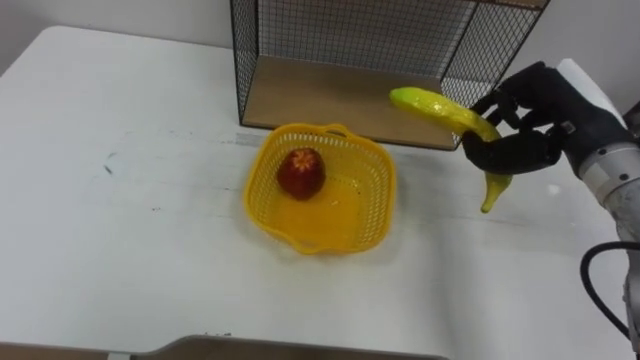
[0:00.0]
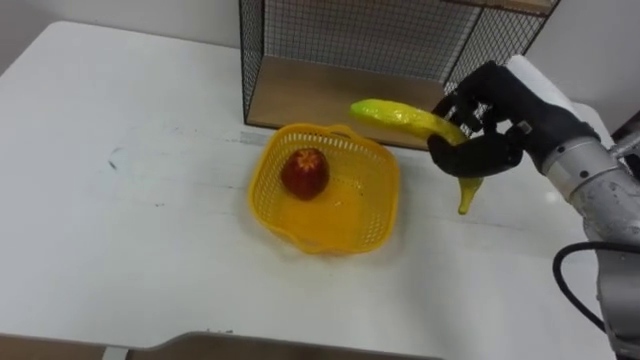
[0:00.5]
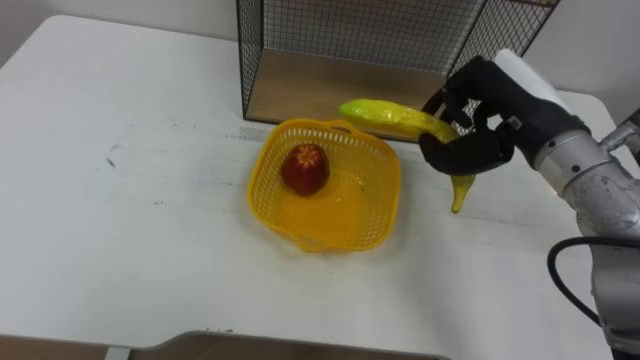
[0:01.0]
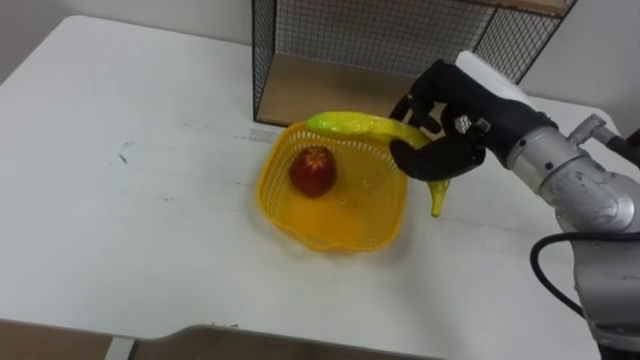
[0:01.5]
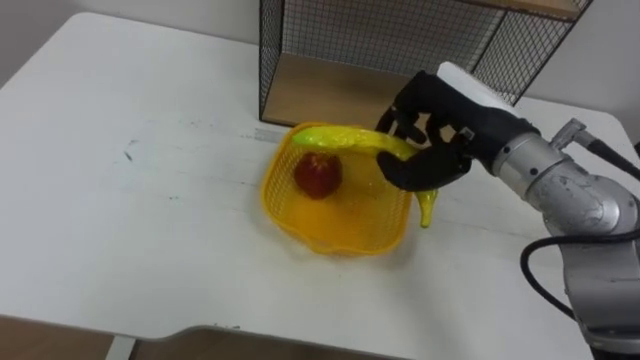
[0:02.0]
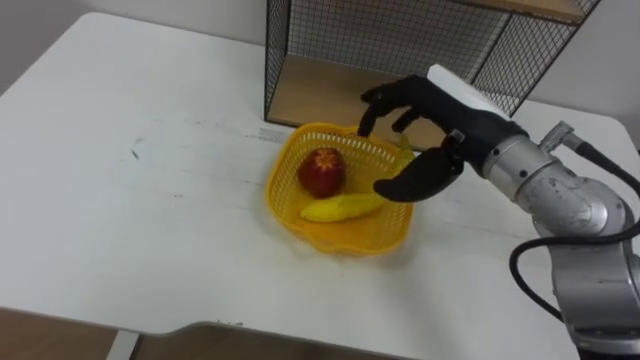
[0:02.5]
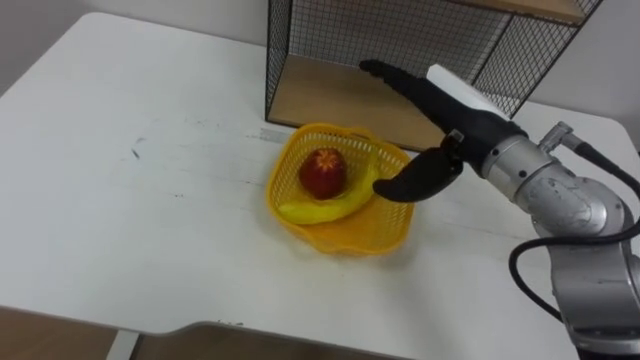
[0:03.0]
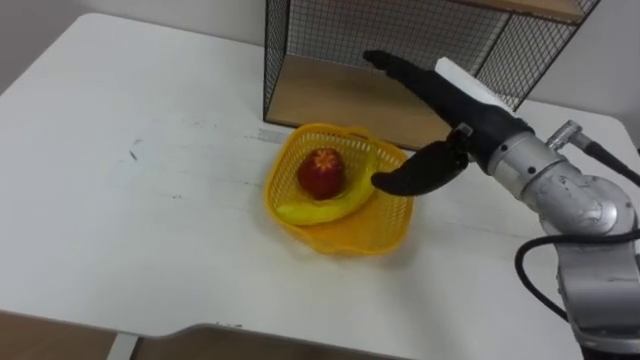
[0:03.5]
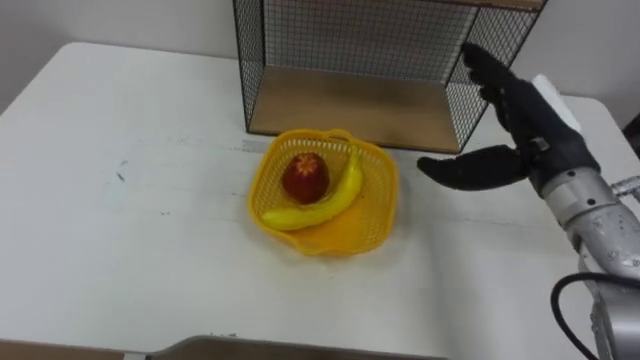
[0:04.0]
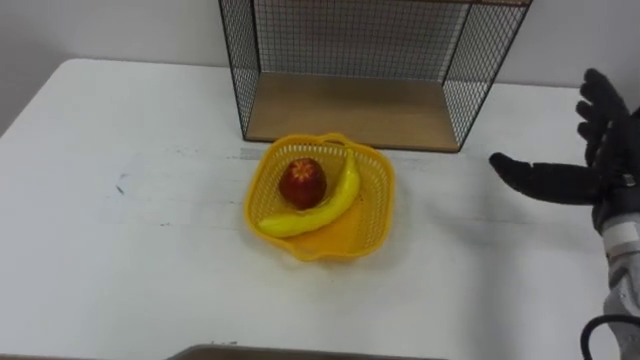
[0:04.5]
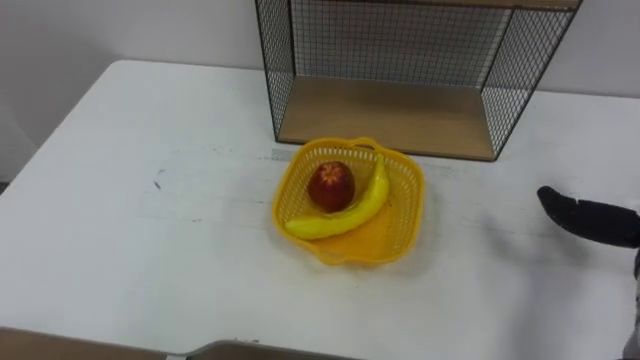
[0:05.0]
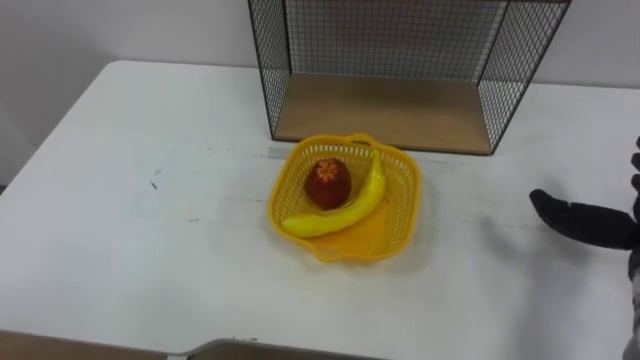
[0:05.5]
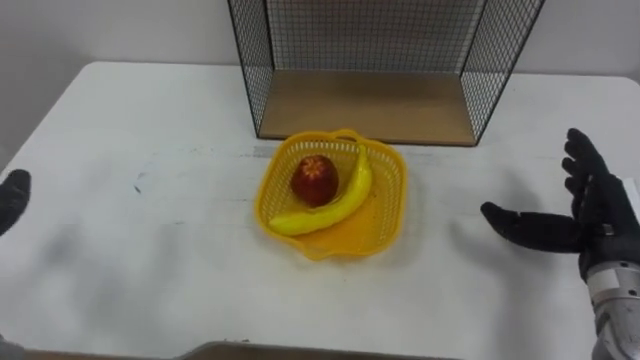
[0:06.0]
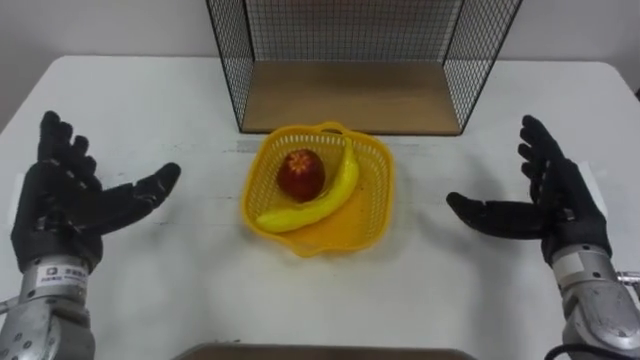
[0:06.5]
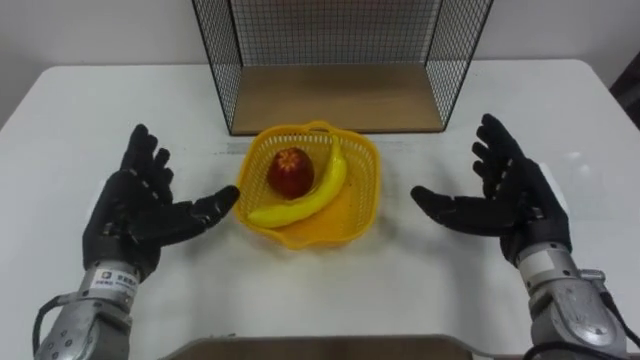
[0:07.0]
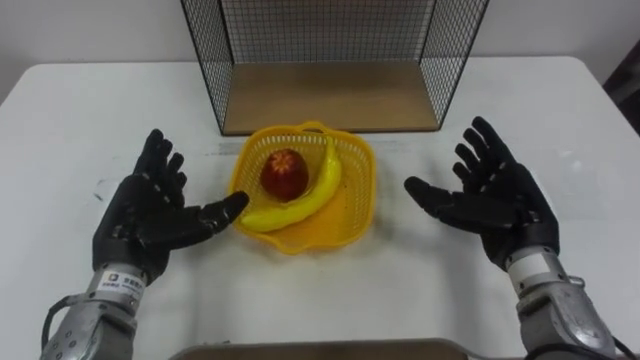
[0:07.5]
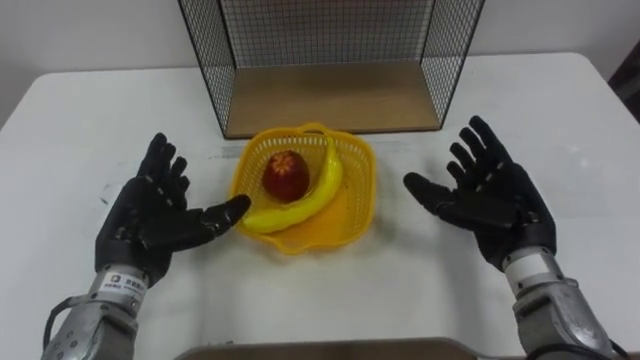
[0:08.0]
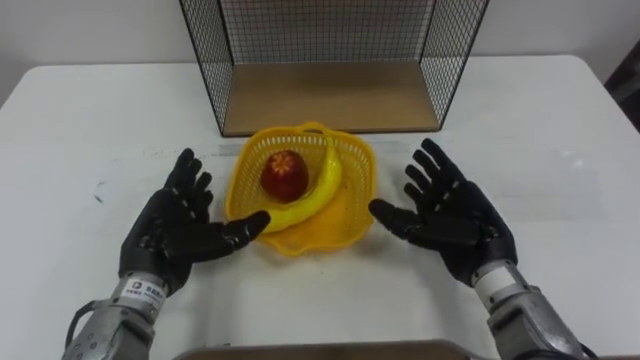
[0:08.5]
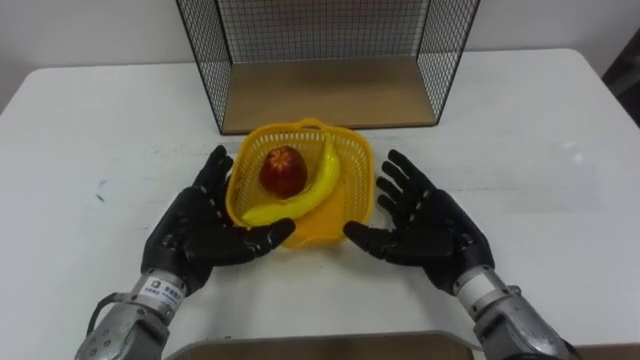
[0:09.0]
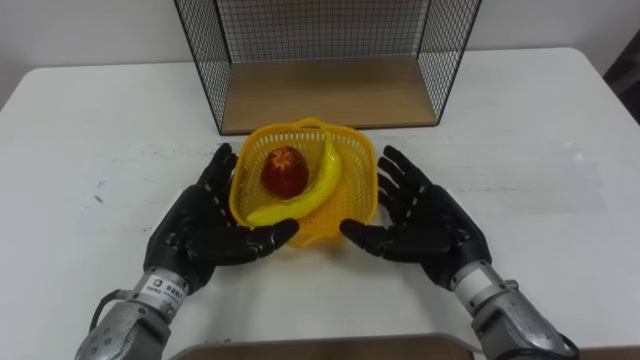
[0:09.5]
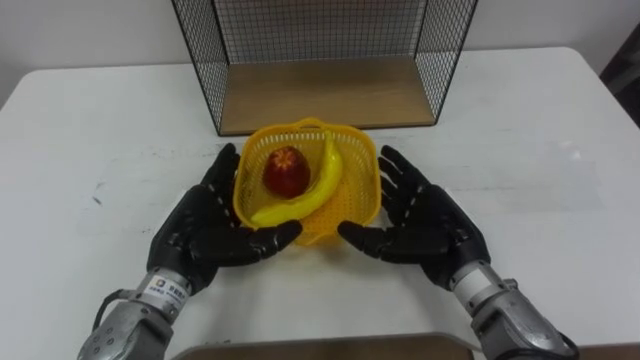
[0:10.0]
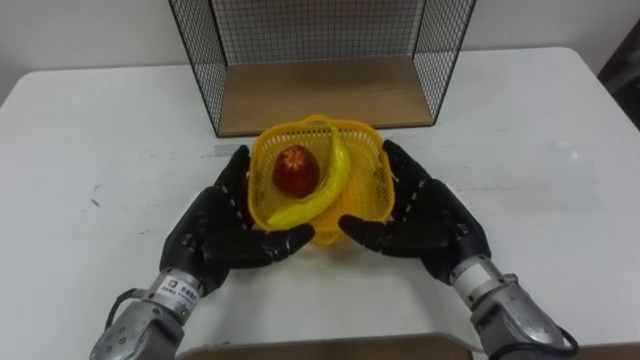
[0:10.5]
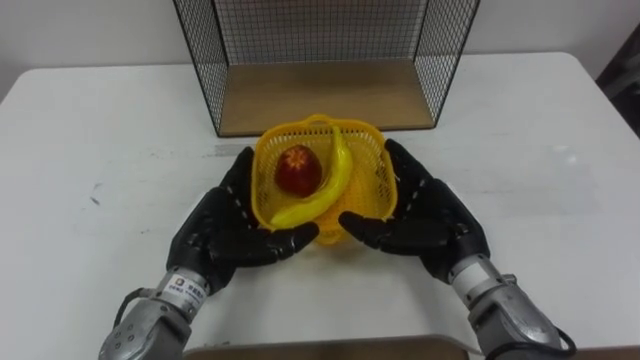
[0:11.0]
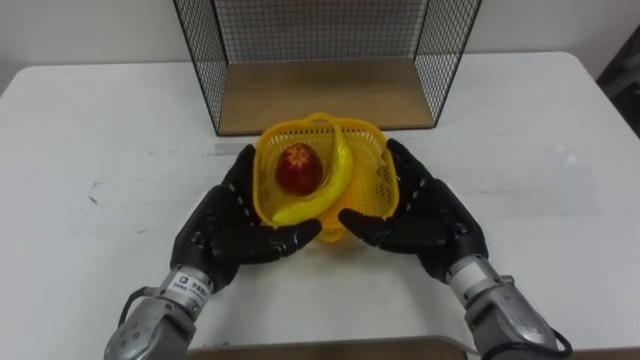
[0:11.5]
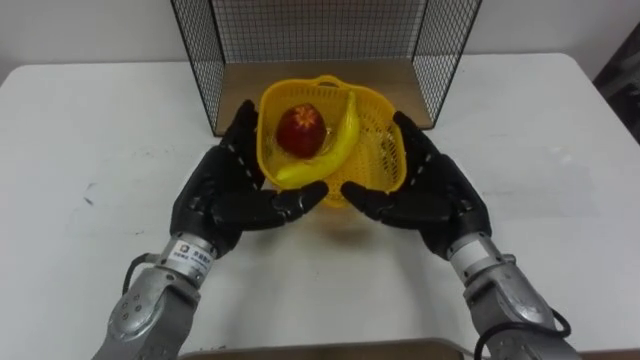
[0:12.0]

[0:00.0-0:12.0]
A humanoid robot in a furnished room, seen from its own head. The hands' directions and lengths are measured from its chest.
Task of the whole recording: Put the fruit on the table into the basket, then place the basket on the shelf.
0:00.0 to 0:02.0: The right hand goes about 10 cm to the left.
0:02.0 to 0:04.0: The right hand is displaced to the right by some 5 cm, and opens.
0:06.0 to 0:08.0: The right hand moves to the left, about 10 cm.
0:08.0 to 0:10.0: The right hand travels to the left by roughly 5 cm, while the left hand travels to the right by some 5 cm.
0:10.0 to 0:12.0: The left hand ends up approximately 5 cm from where it was.

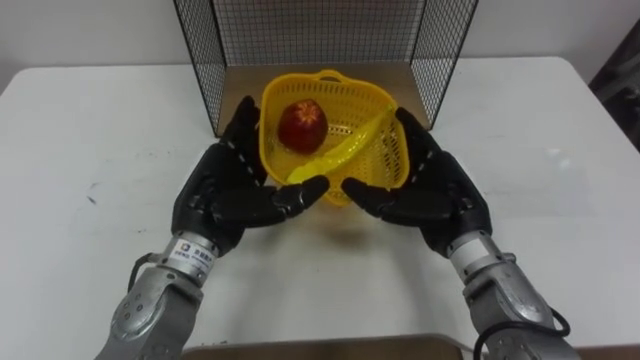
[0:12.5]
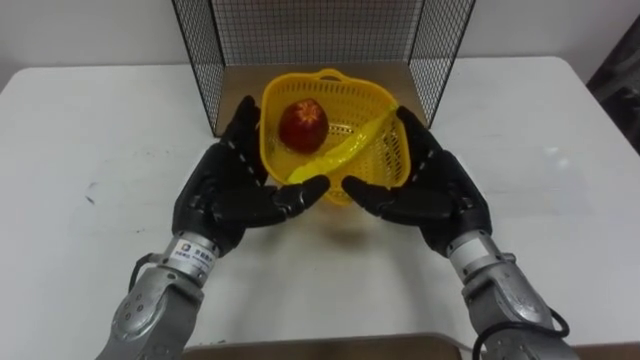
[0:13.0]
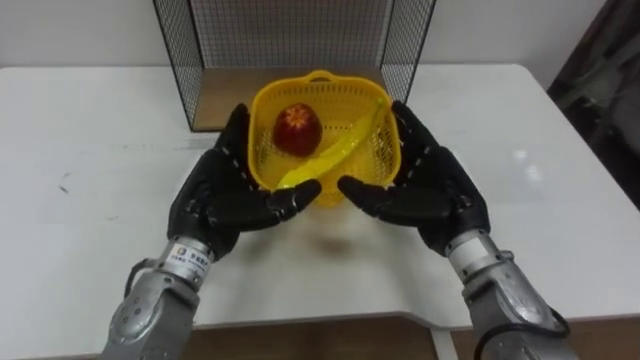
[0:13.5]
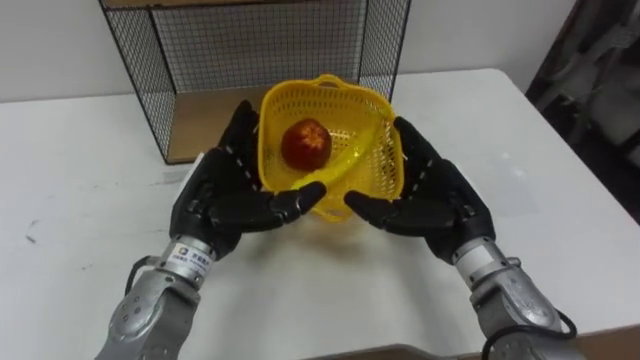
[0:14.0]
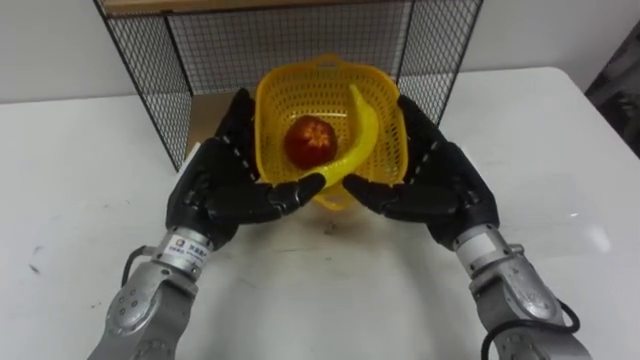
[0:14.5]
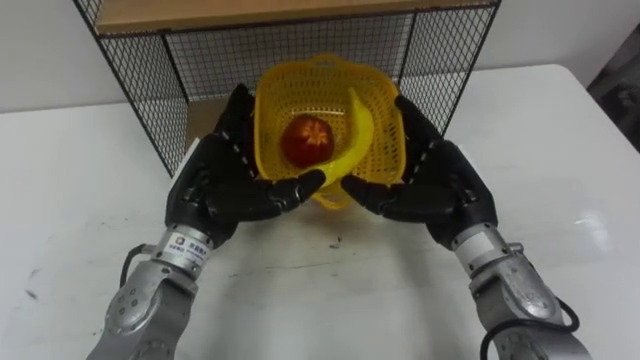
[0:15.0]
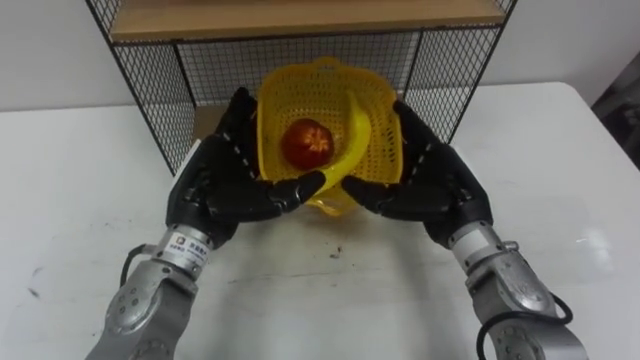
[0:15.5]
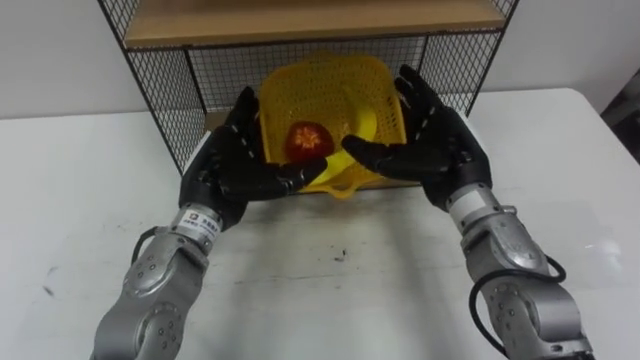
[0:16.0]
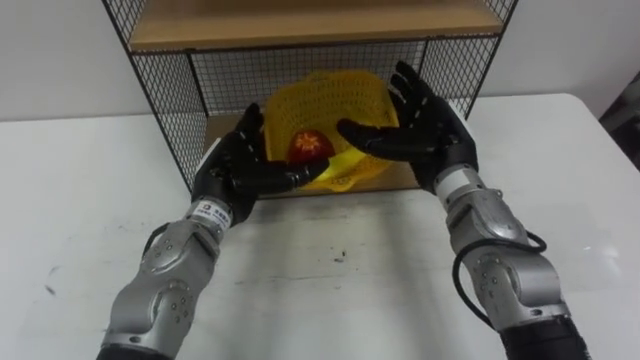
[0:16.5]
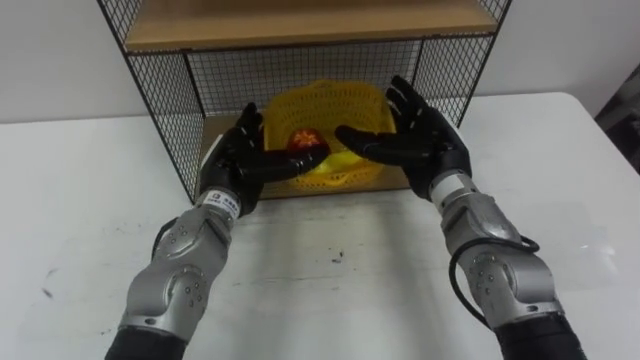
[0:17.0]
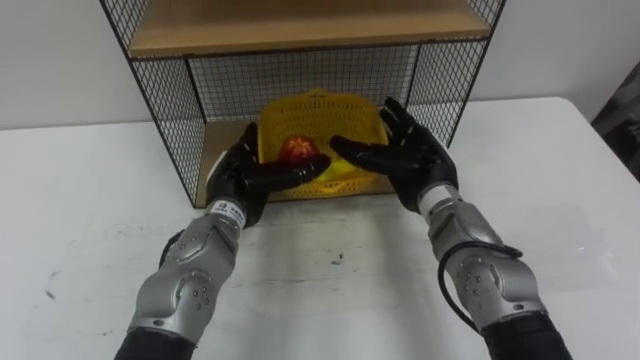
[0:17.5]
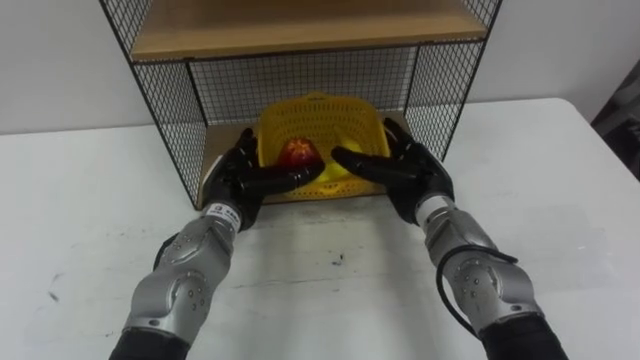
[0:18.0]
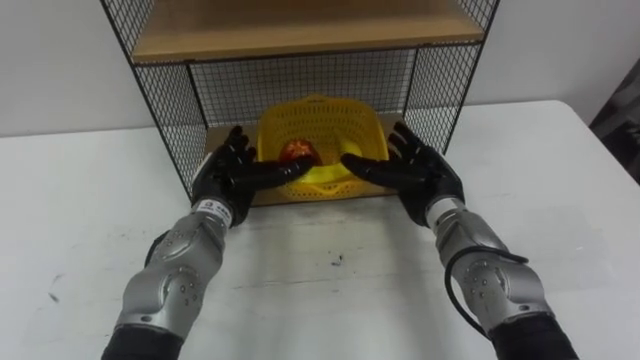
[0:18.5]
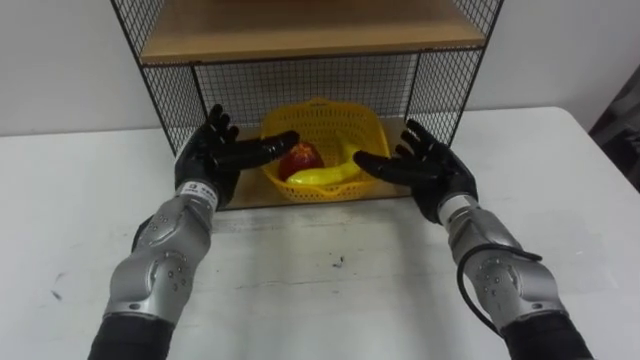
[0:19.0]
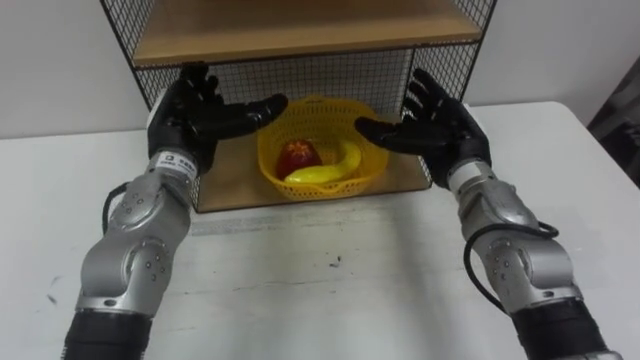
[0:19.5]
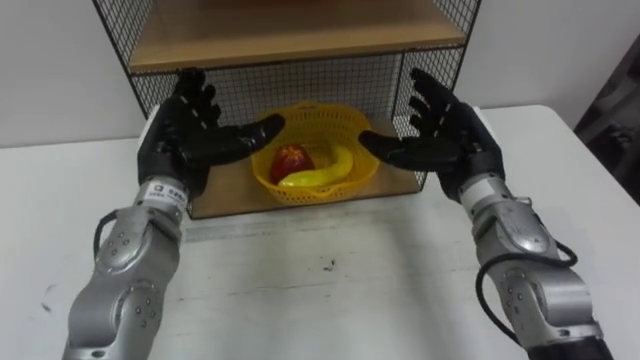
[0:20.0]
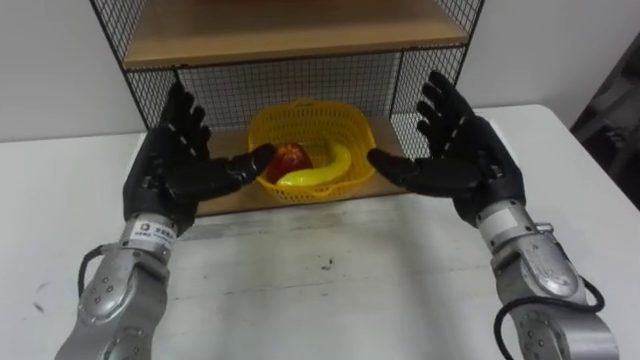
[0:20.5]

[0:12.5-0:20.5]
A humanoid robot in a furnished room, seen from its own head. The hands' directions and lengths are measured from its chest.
Task of the whole recording: Put the fruit on the table into the basket, then place the basket on the shelf.
0:14.5 to 0:16.5: The right hand travels forward by roughly 5 cm. The left hand shifts by about 5 cm.
0:16.5 to 0:18.5: The right hand travels downward by roughly 5 cm.
0:18.5 to 0:20.5: The left hand shifts some 10 cm upward and to the left, while the right hand shifts approximately 10 cm upward.
